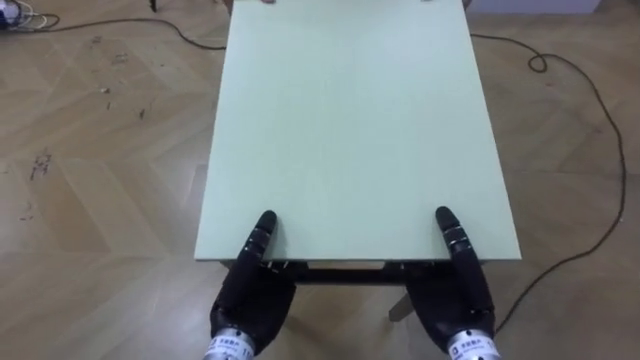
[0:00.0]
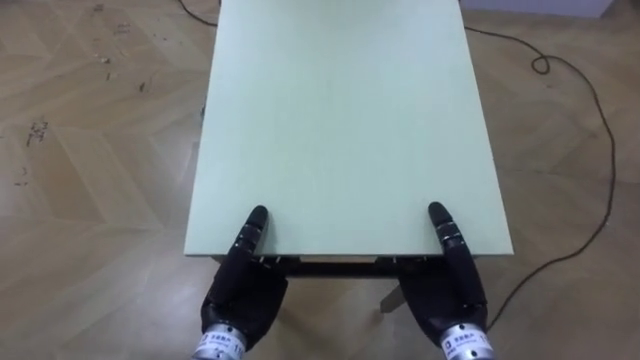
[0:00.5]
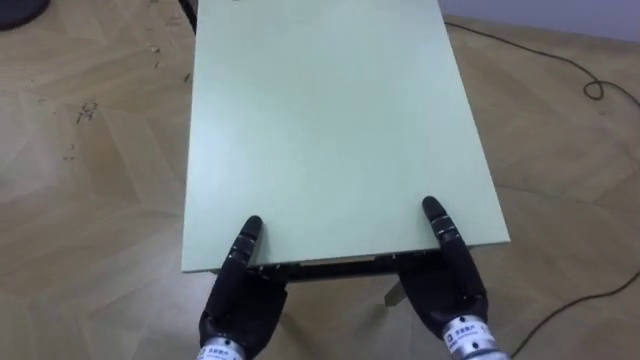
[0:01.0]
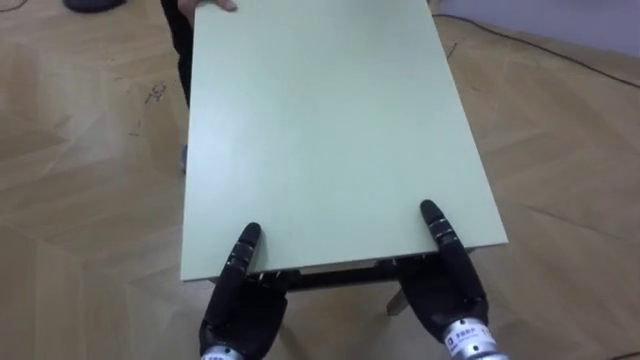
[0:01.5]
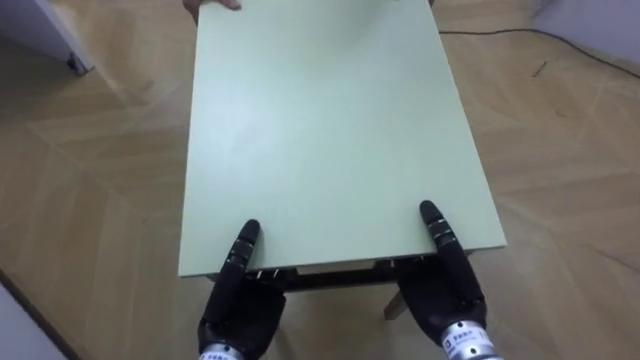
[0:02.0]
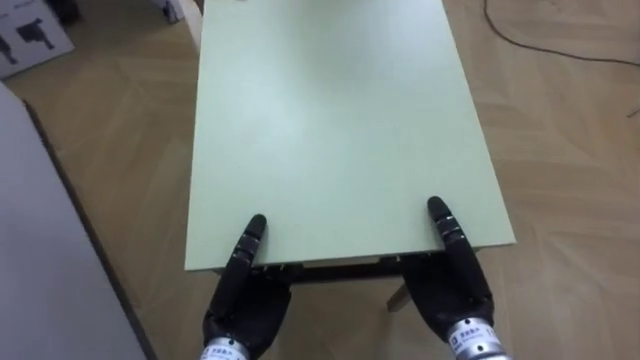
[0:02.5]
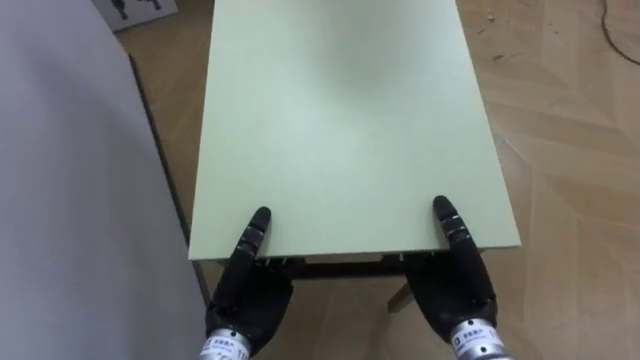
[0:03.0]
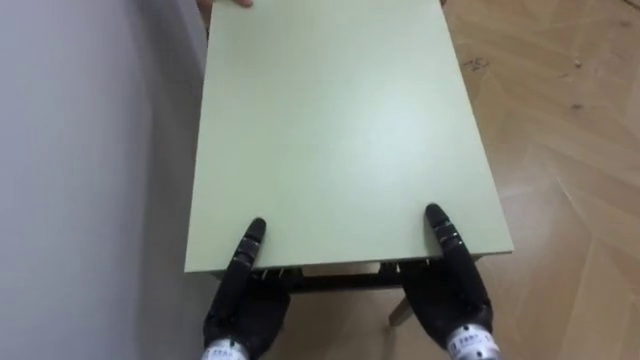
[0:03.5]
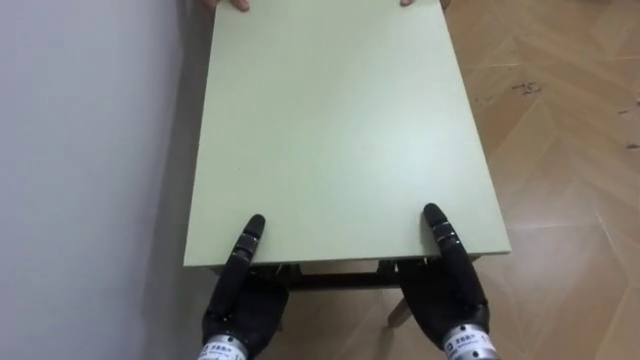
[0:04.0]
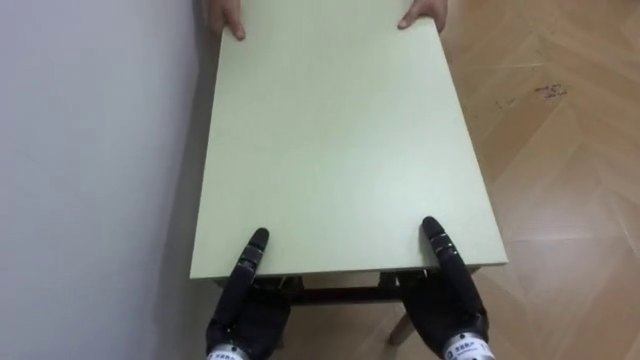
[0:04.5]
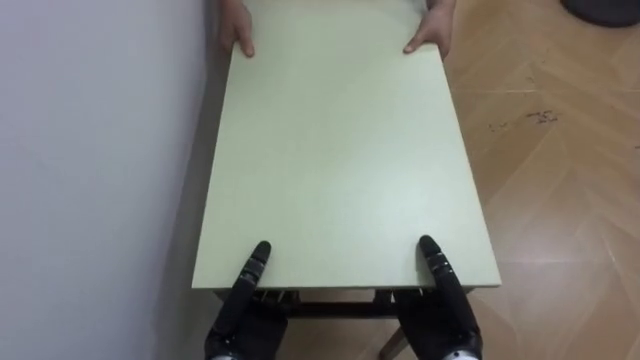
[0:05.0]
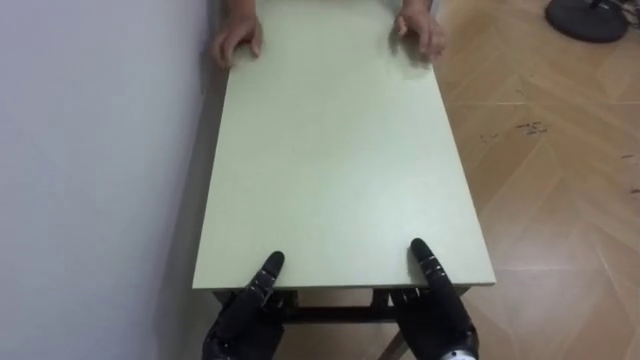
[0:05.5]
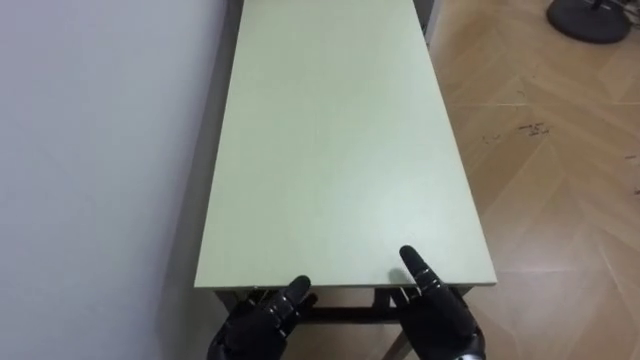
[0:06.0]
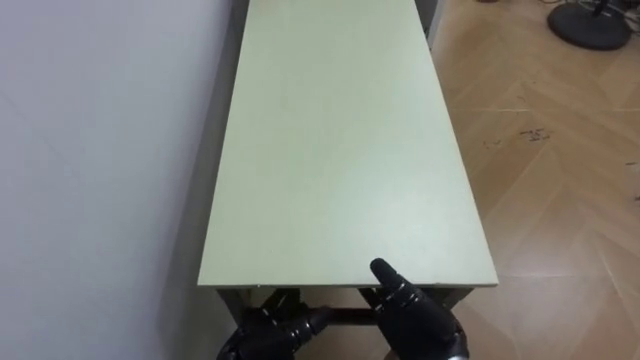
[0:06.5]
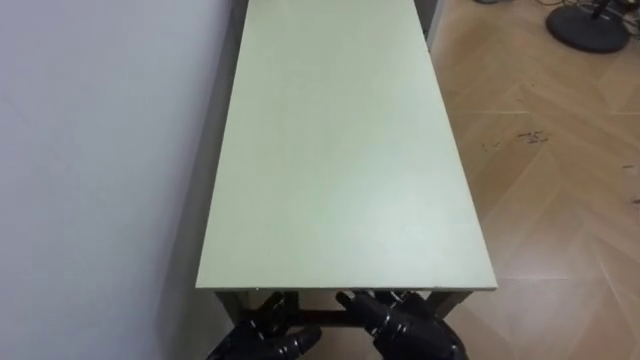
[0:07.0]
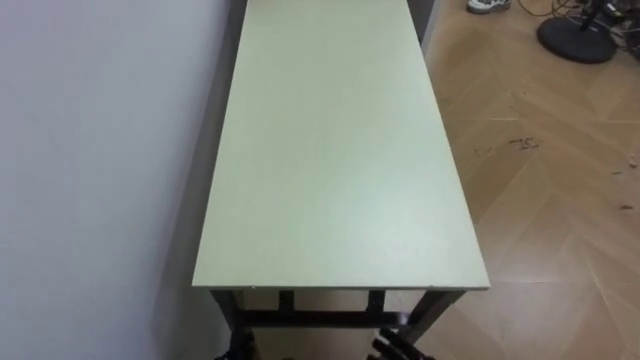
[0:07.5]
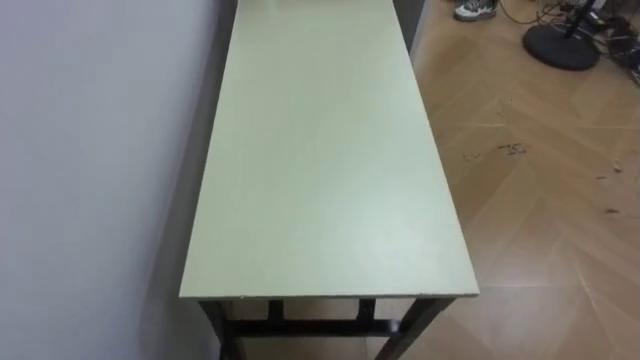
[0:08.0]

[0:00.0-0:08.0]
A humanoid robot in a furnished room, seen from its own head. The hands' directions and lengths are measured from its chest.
Task of the whole recording: Move the table to the back left with someone.
0:00.0 to 0:02.0: The robot faces about 35 degrees further to its left.
0:02.0 to 0:04.0: The robot rotates about 50 degrees to its left.
0:04.0 to 0:06.0: The right hand moves approximately 5 cm, and opens. Meanwhile the left hand moves downward, approximately 5 cm, and opens its fingers.

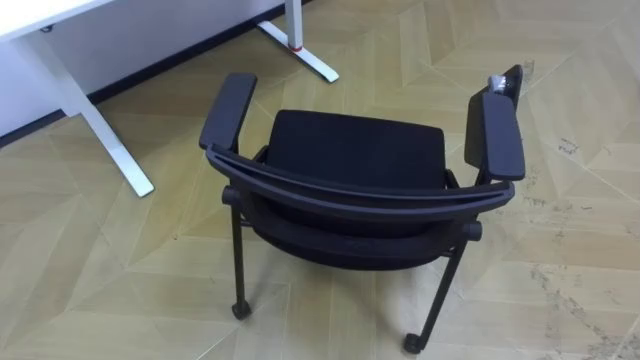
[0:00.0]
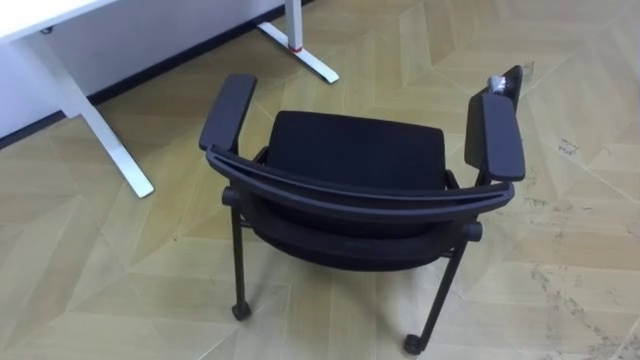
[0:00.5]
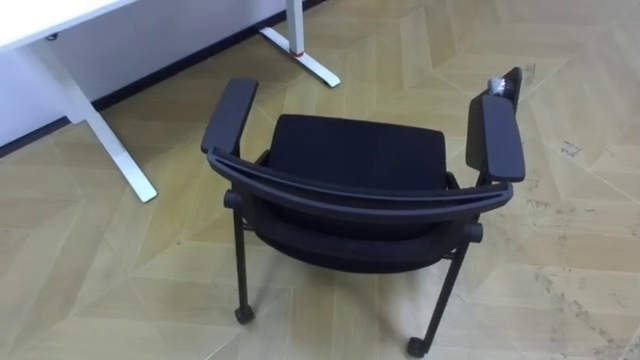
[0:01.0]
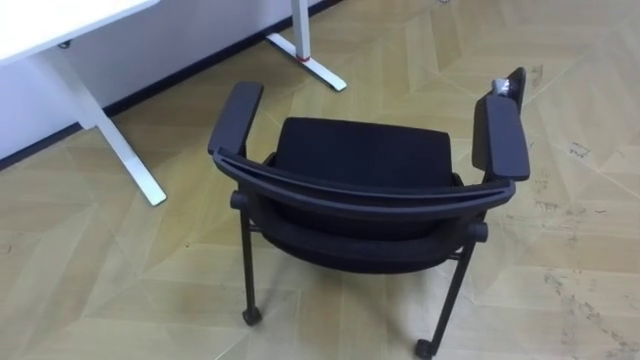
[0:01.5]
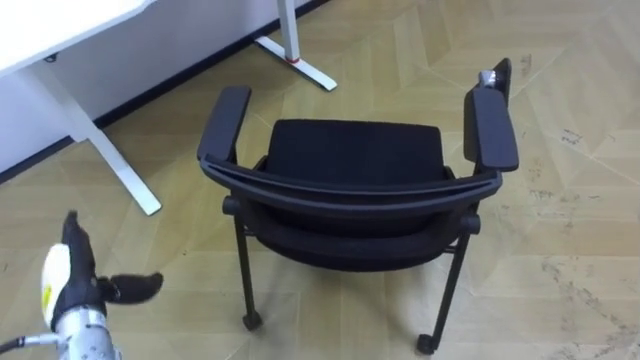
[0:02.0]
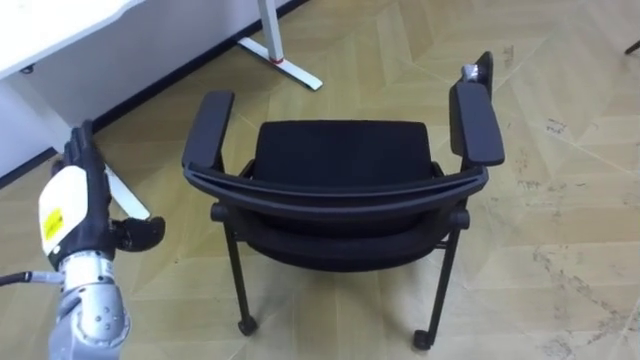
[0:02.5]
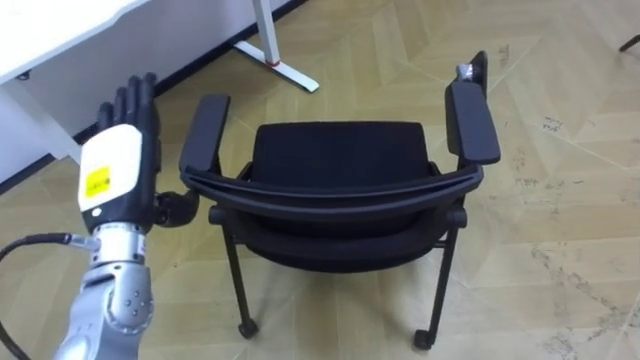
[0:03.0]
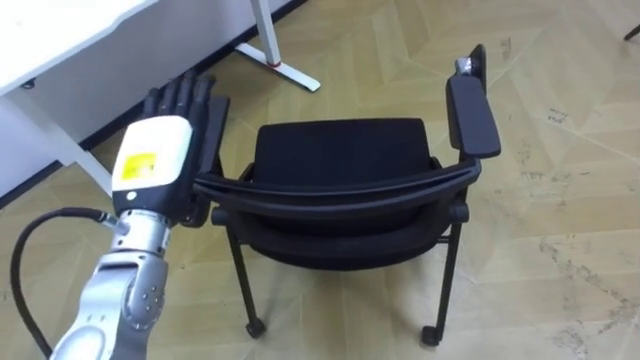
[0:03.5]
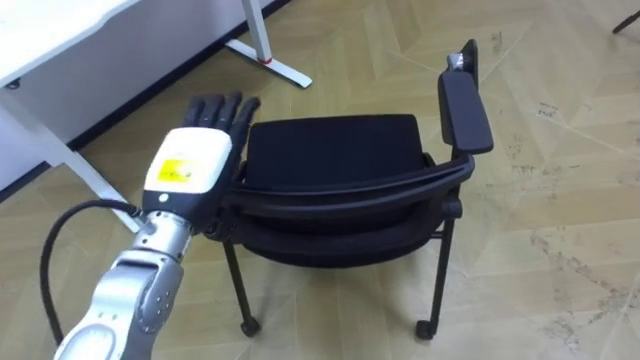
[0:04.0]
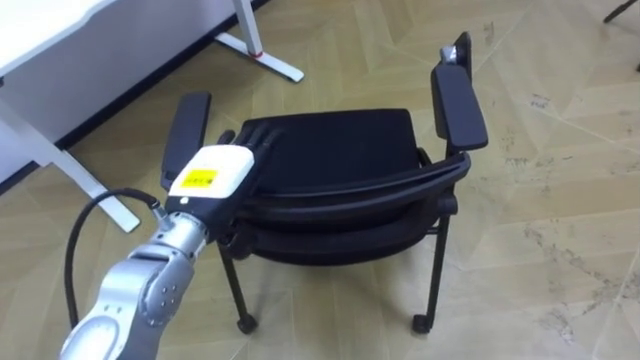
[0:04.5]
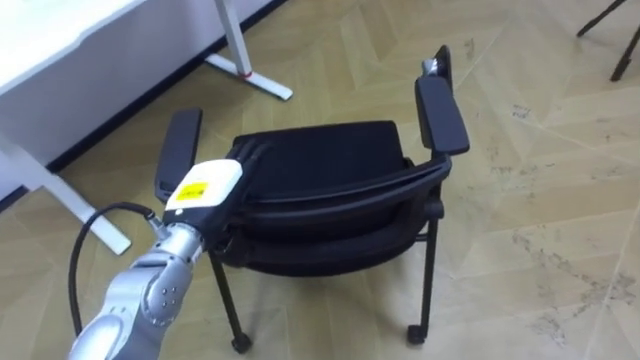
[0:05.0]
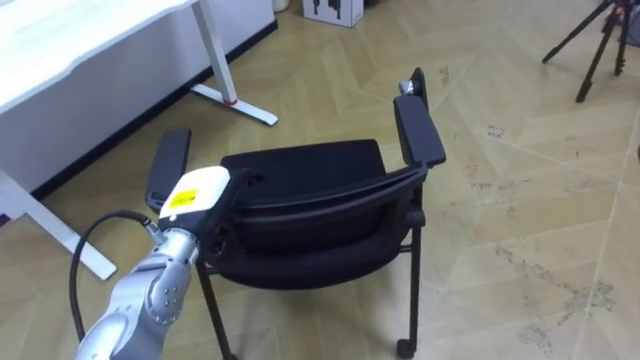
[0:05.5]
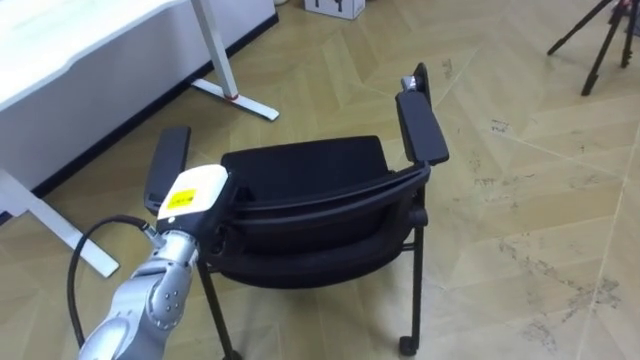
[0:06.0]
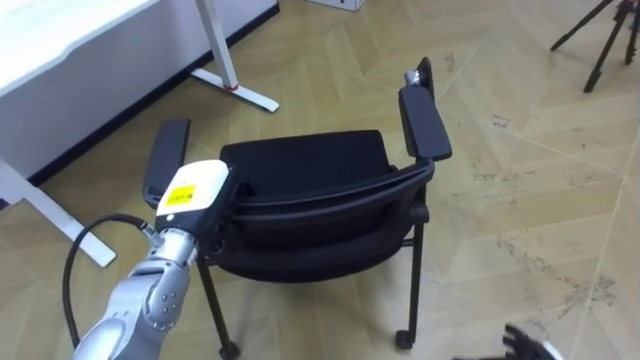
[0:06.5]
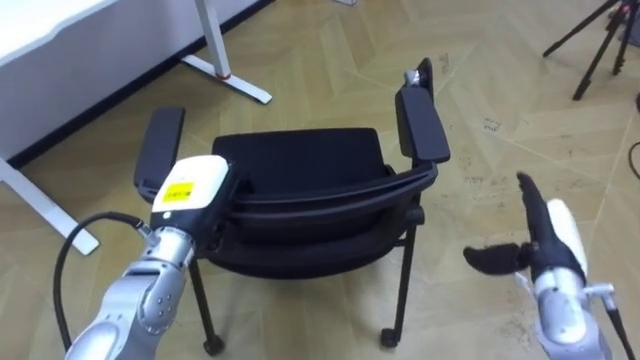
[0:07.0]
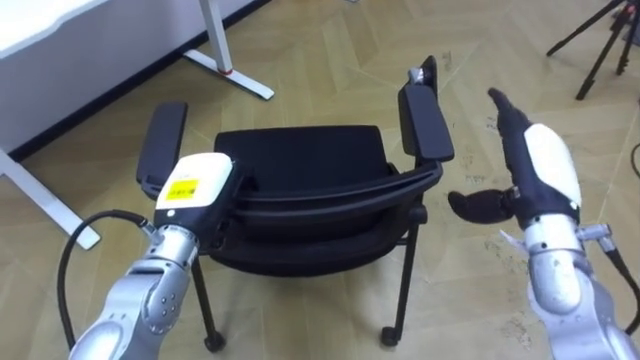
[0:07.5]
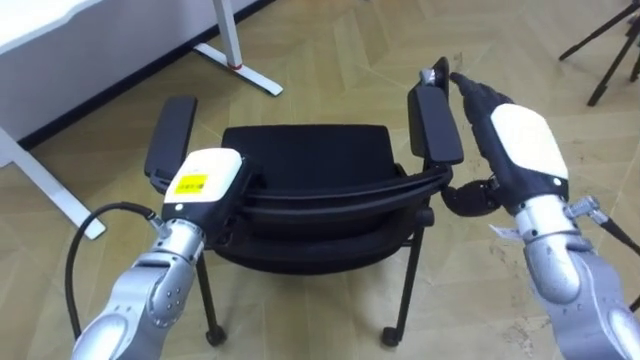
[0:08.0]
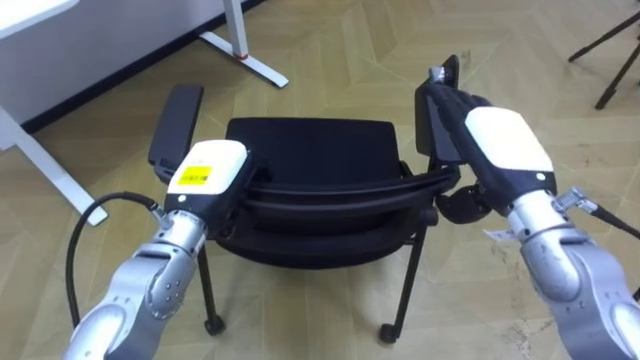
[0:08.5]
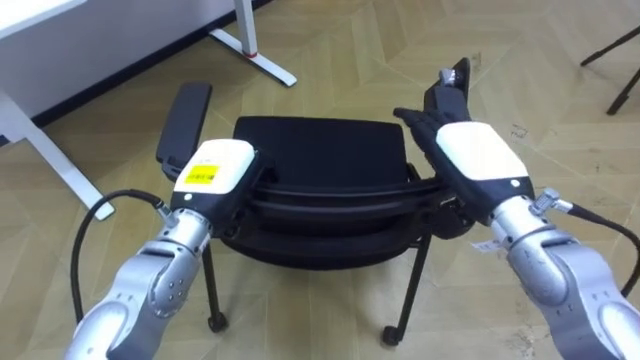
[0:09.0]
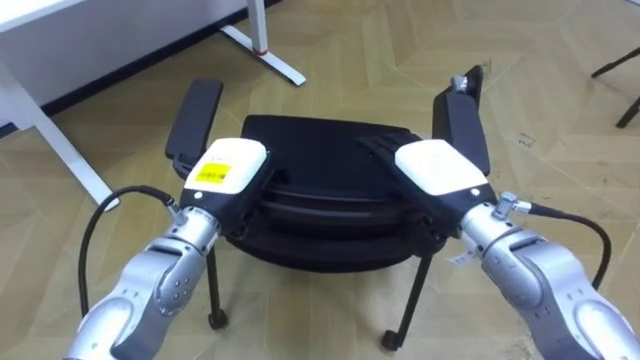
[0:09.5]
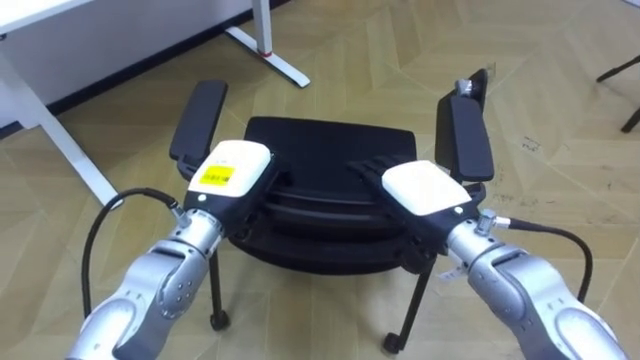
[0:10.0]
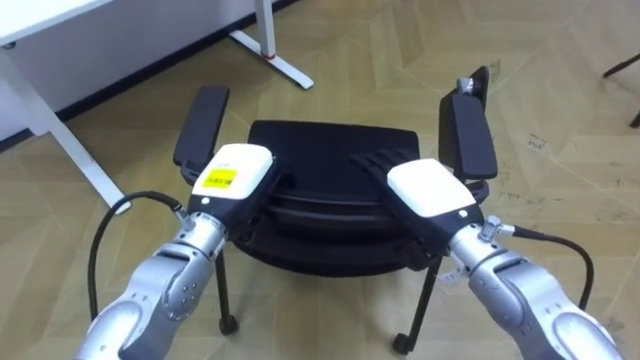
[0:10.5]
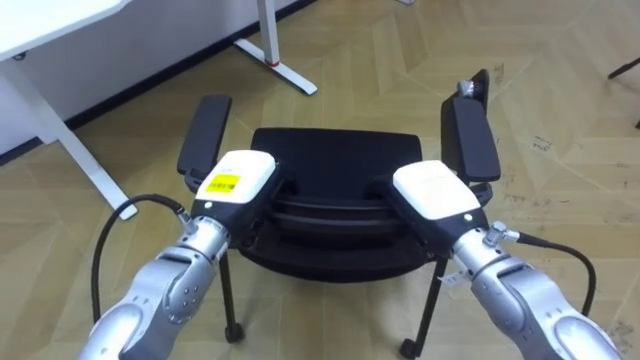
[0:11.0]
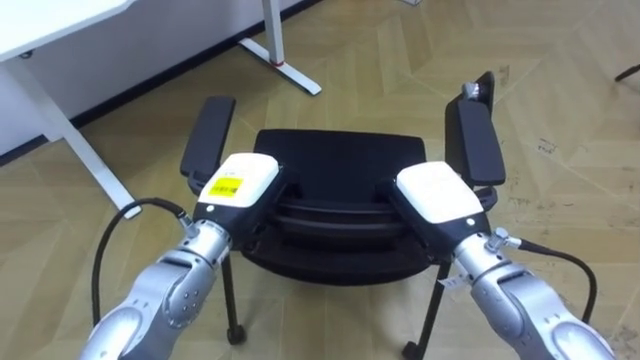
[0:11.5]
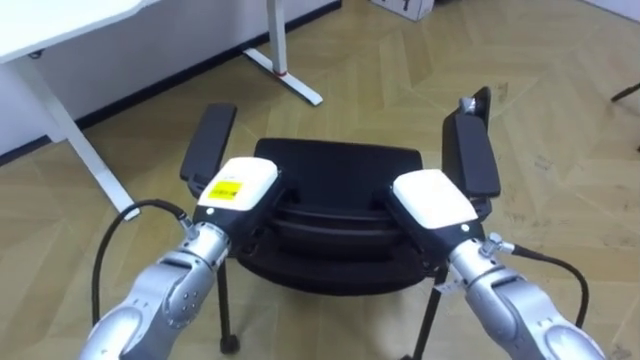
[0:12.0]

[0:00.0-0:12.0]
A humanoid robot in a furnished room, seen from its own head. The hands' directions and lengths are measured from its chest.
Task of the whole recording: Push the chair under the table.
0:02.0 to 0:04.0: The left hand moves to the right, upward and forward, approximately 25 cm.
0:04.0 to 0:06.0: The left hand heads downward, covering approximately 10 cm, and closes up.
0:08.0 to 0:10.0: The right hand goes about 10 cm to the left and downward.
0:10.0 to 0:12.0: The right hand closes its fingers.
